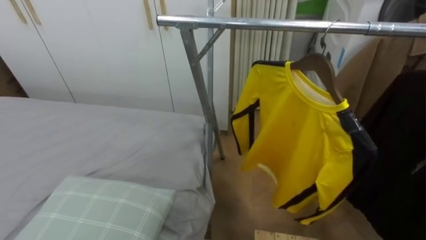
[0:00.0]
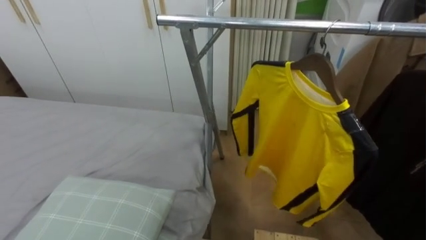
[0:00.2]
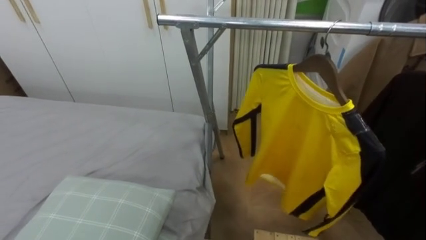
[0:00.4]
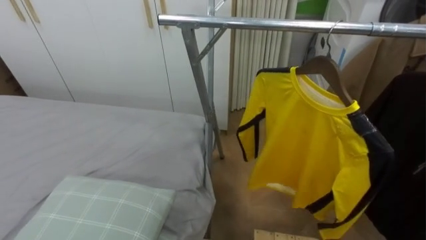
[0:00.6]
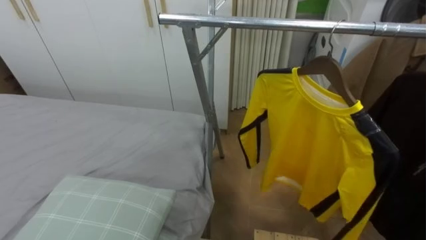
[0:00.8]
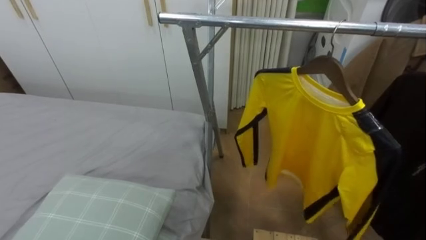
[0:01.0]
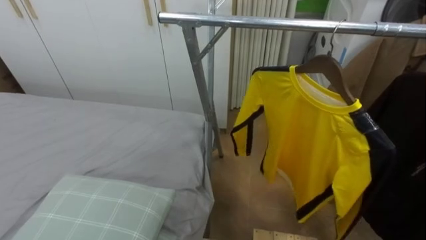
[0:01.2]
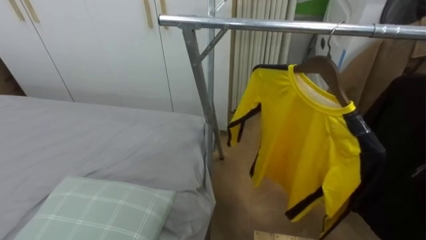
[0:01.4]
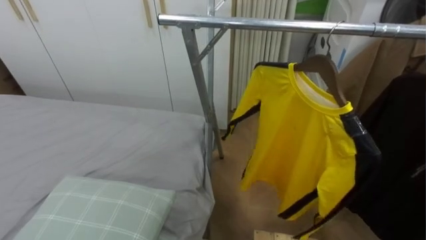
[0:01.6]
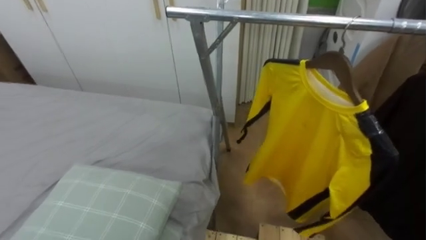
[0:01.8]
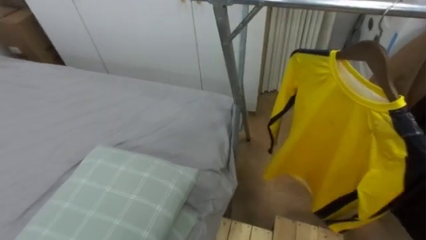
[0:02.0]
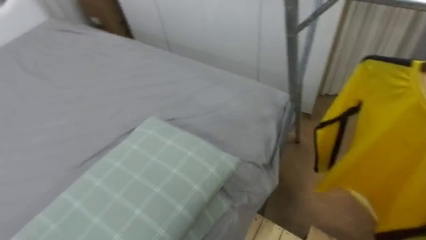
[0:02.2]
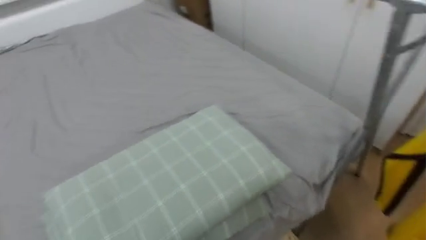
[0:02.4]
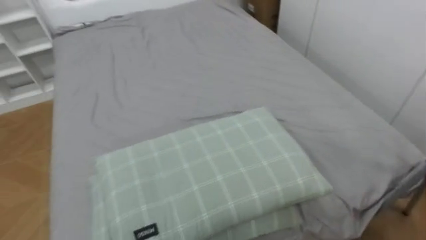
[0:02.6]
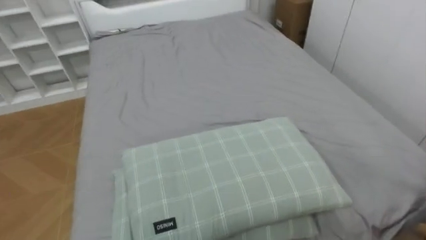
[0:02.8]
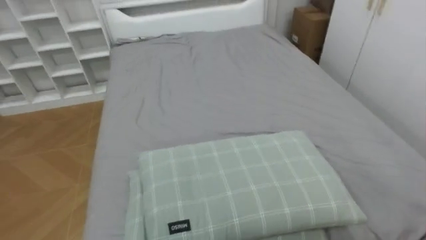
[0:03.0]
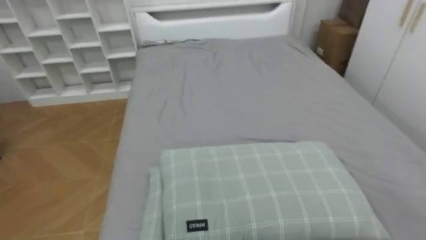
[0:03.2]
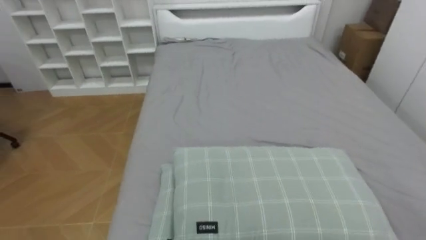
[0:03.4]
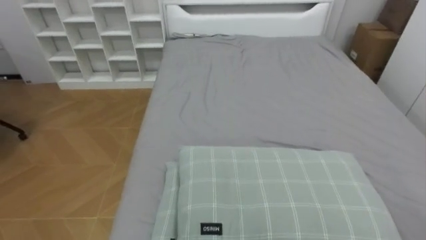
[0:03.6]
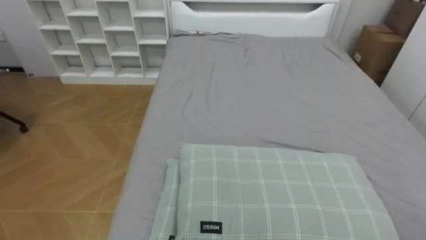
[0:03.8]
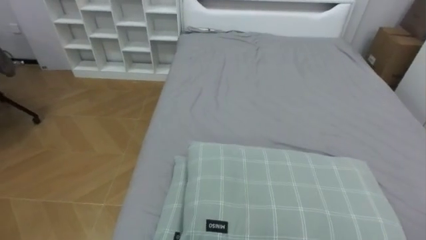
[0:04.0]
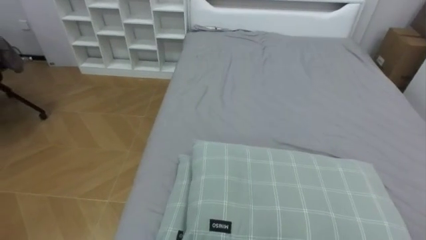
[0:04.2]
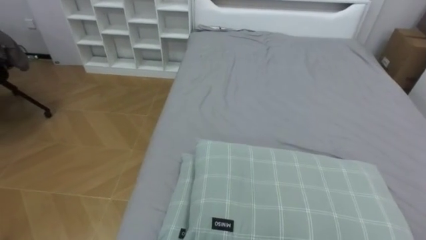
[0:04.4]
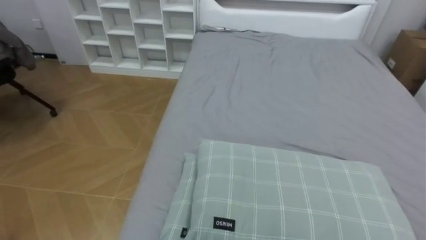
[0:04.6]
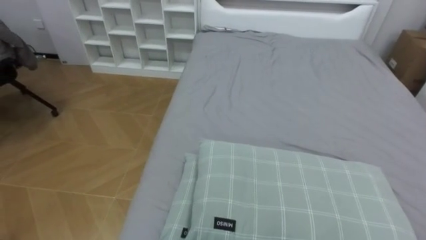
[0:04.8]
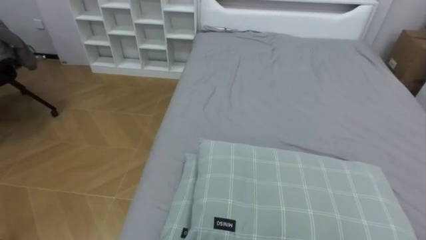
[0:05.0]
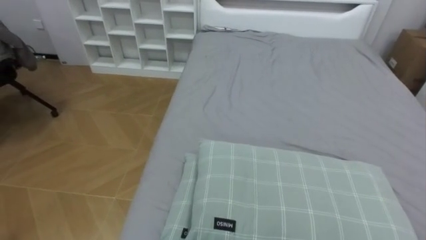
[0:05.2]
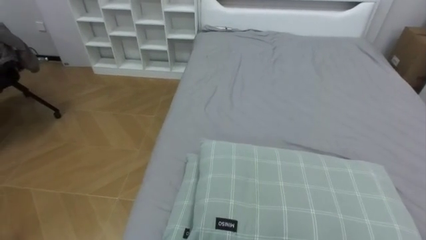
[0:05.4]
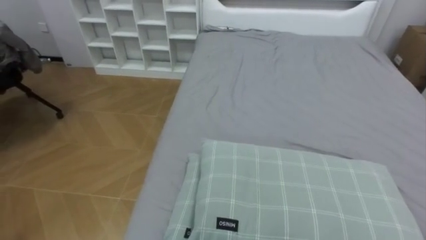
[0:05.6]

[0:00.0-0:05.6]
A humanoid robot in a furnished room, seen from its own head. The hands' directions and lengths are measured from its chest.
Task of the whole recording: Pick up the yellow shirt on the bed and hang it on the clothes rack on the right.
0:01.4 to 0:02.8: The robot rotates roughly 60 degrees to its left.
0:02.8 to 0:04.2: The robot rotates about 25 degrees to its left.

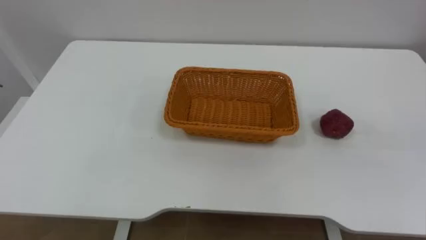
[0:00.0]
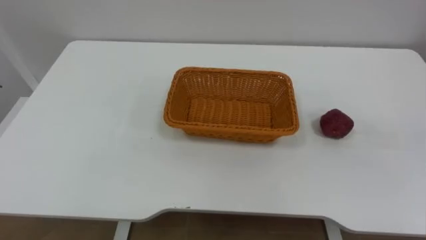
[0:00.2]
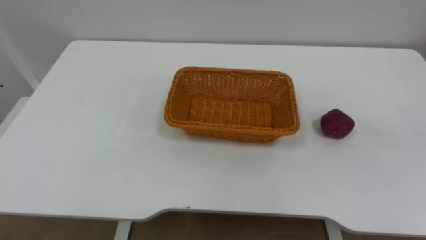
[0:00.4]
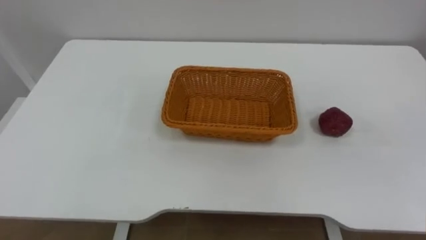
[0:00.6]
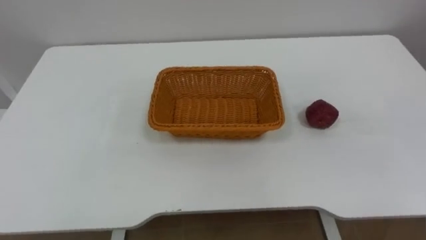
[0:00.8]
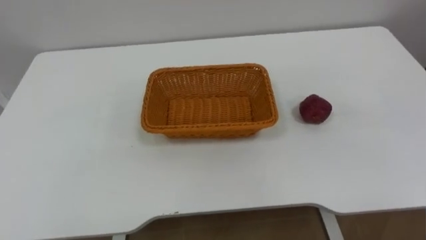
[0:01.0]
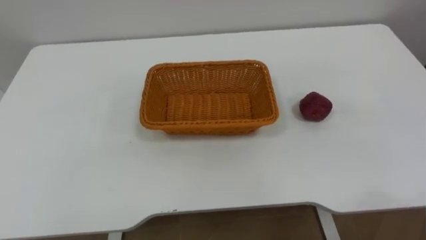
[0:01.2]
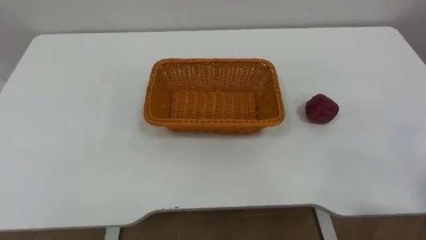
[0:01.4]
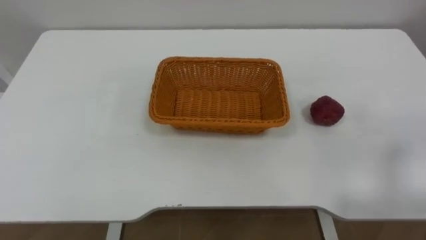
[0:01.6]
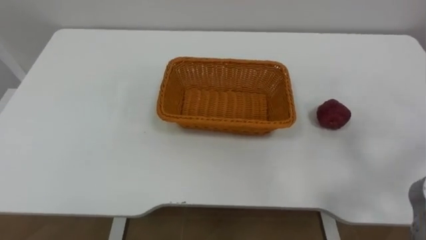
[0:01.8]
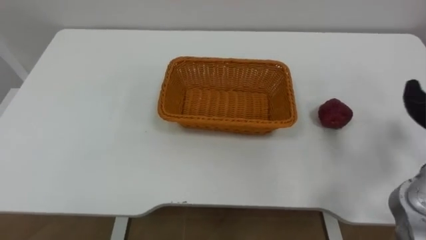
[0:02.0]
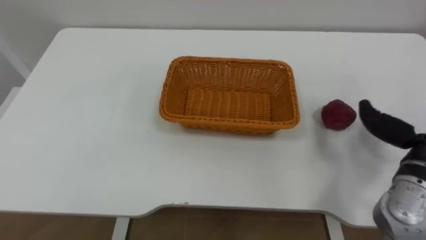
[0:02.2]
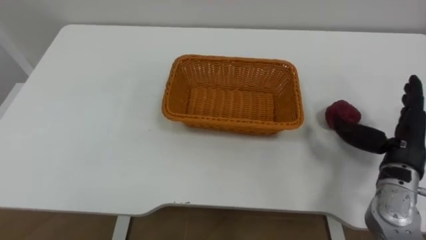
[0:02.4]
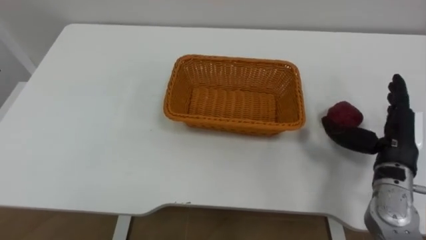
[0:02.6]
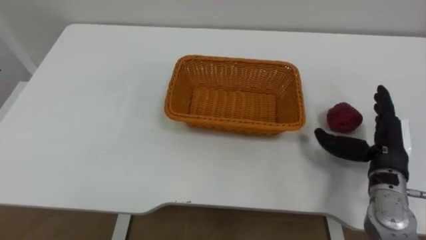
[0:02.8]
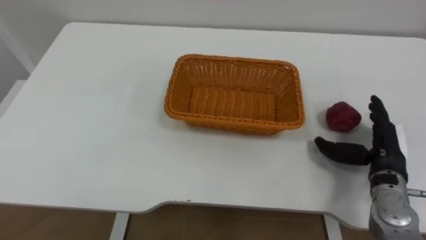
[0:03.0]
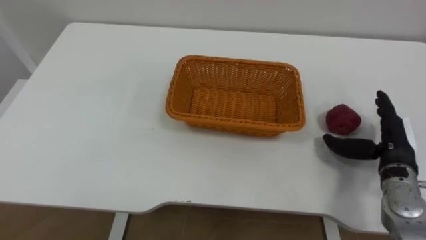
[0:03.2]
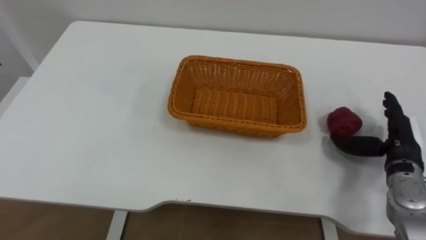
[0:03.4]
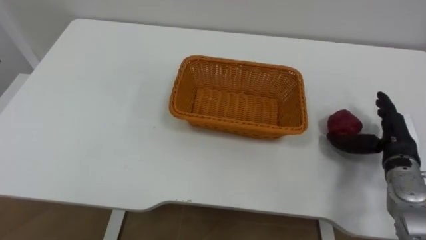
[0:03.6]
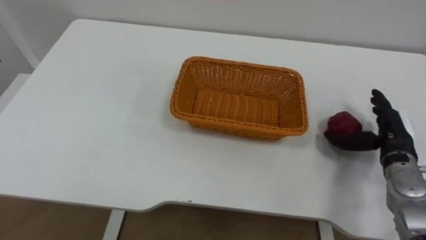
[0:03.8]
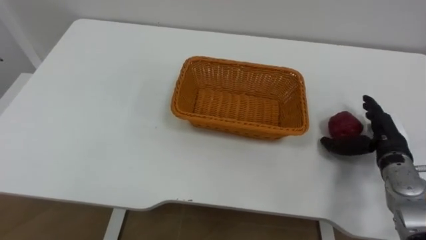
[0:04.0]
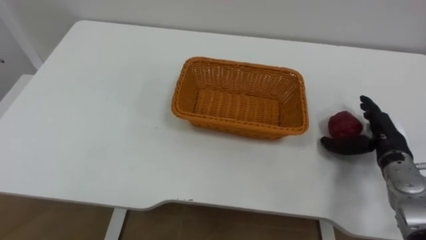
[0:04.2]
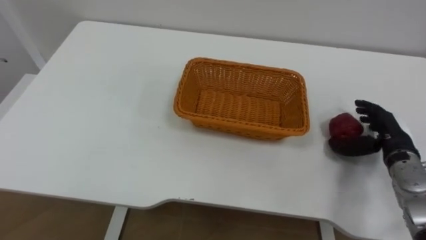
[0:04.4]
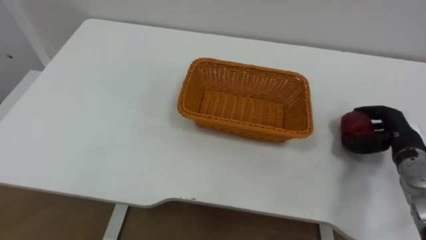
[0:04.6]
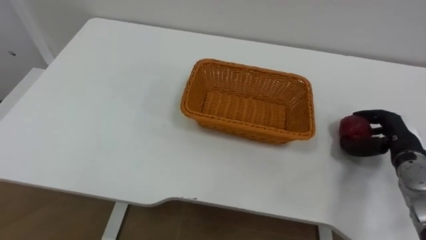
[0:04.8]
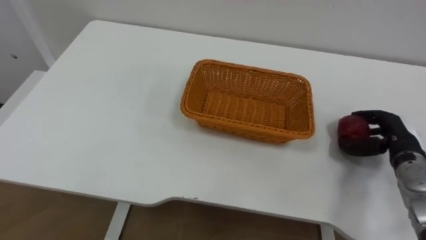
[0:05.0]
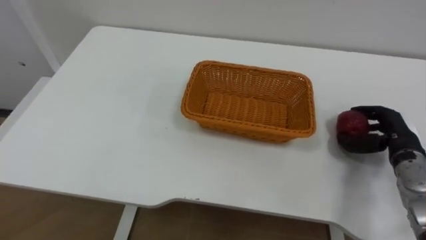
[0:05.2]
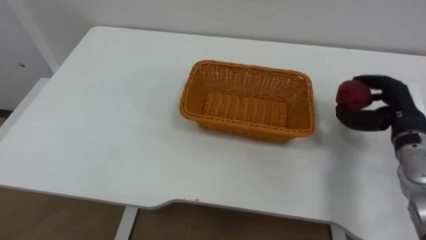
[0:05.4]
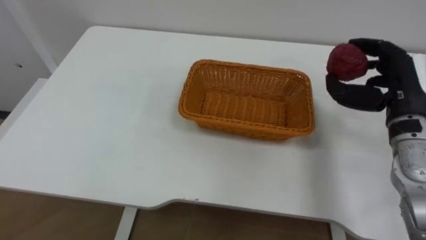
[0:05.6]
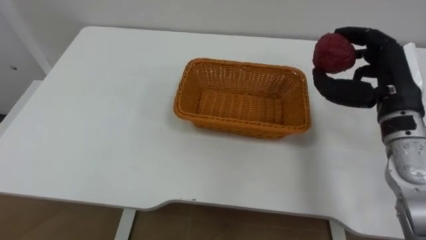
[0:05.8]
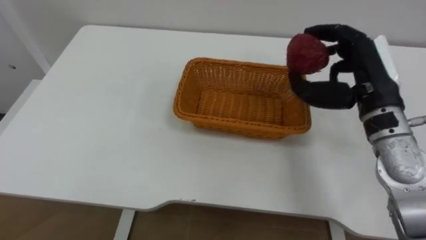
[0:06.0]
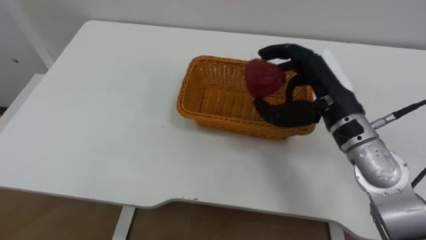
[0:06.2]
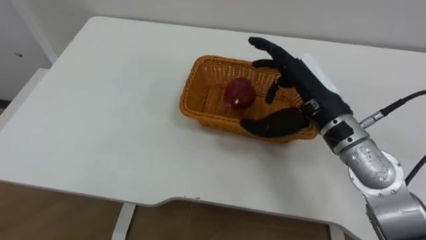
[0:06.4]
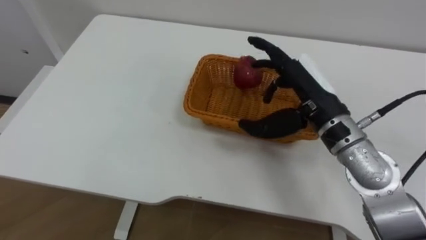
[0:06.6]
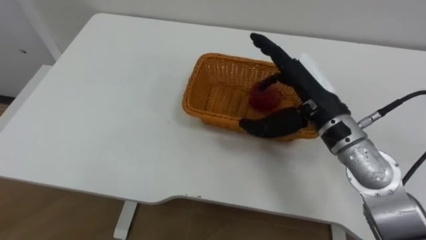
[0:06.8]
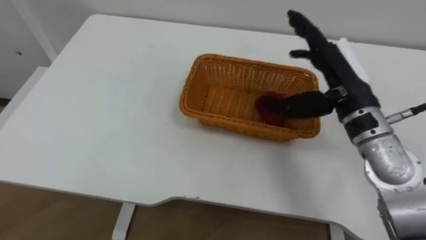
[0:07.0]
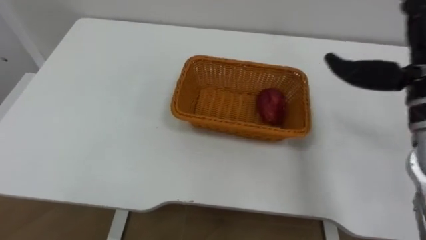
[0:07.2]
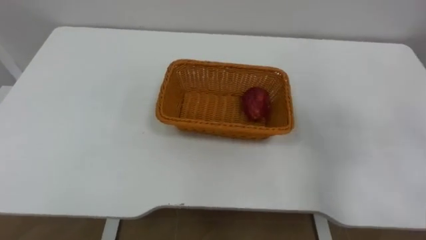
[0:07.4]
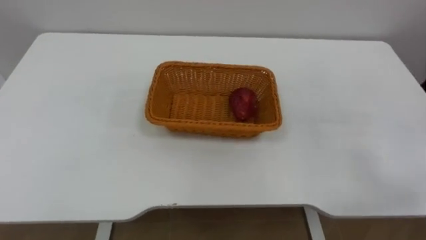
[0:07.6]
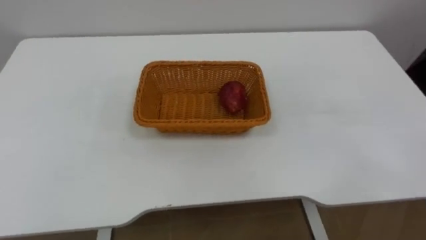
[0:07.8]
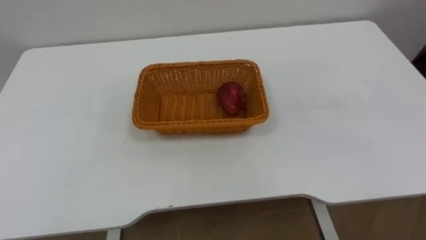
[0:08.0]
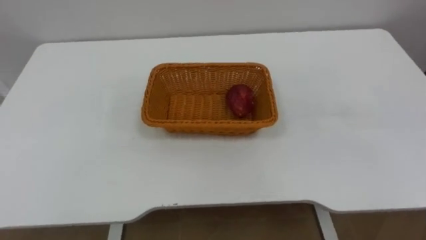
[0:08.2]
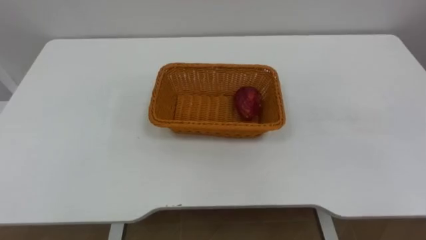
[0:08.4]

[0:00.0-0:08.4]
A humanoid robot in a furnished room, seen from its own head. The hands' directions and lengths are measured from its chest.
Task of the whole recording: Pick the apple and place it in the box.
0:02.8 to 0:04.2: The right hand changes place by approximately 5 cm.
0:04.2 to 0:05.6: The right hand shifts roughly 10 cm upward, and closes up.
0:05.6 to 0:07.0: The right hand moves to the left, roughly 10 cm, and opens up.

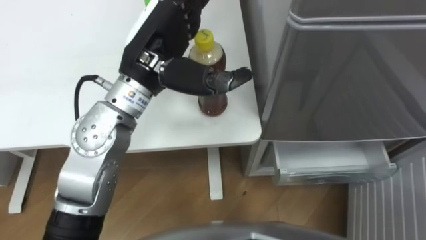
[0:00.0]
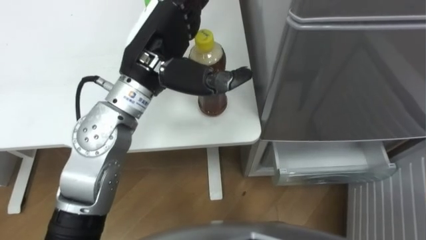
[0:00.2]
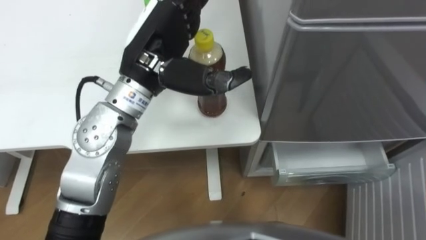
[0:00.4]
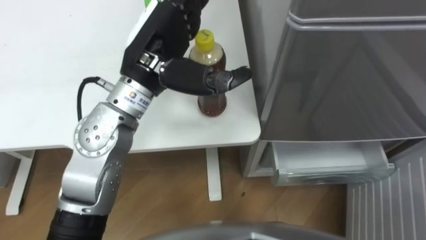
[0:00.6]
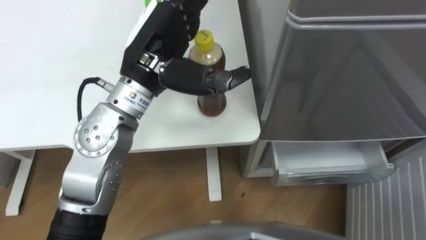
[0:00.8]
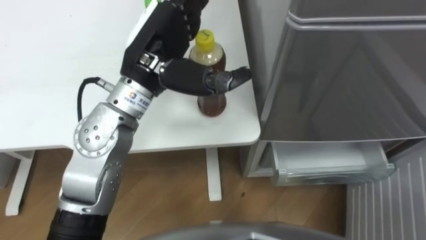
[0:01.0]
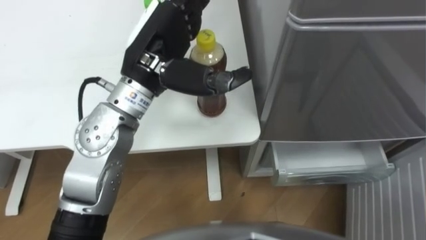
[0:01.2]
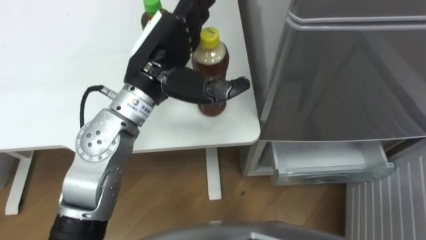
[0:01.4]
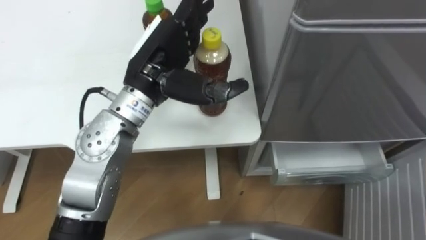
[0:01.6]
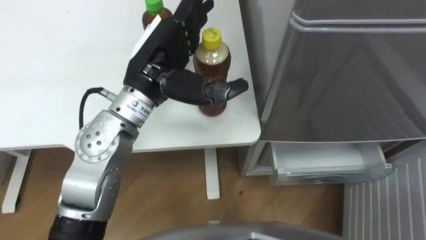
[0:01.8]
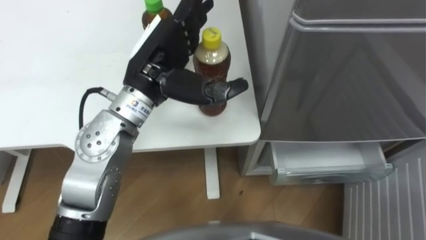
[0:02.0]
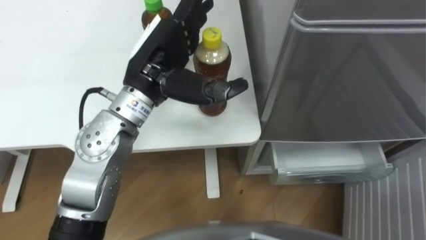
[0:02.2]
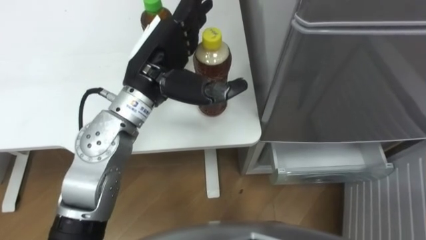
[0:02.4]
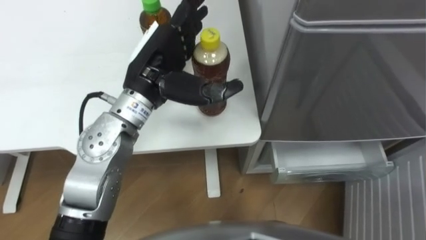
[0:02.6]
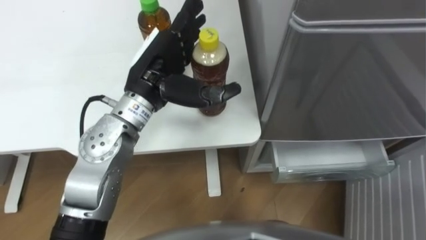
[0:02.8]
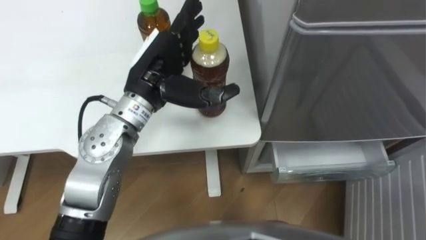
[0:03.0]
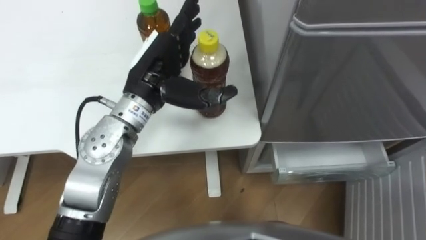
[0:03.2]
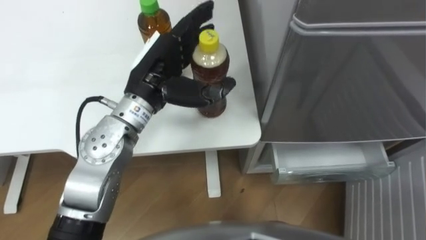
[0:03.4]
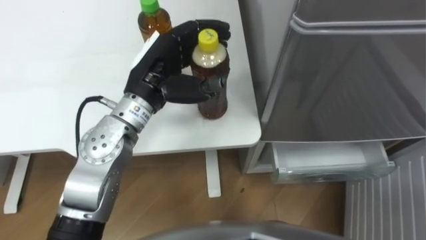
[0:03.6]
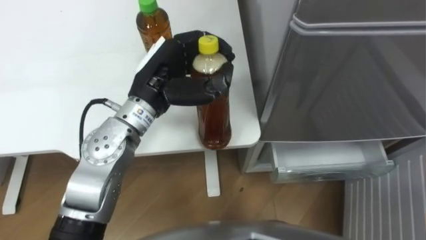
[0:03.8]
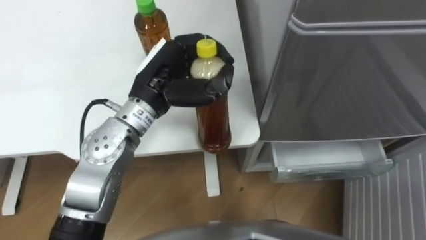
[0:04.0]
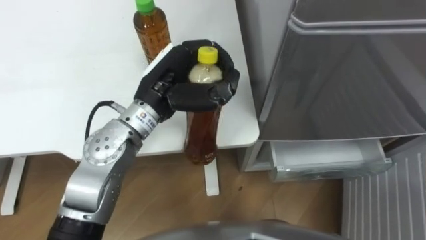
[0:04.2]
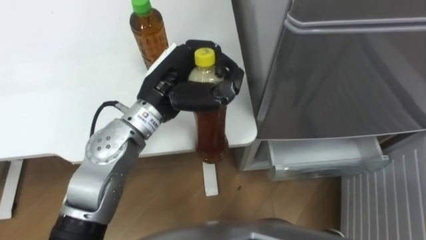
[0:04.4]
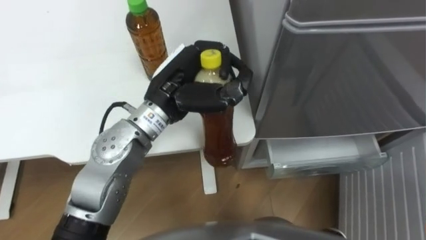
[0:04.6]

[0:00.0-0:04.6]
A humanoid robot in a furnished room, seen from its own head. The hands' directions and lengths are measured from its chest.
Task of the whole recording: Place the drink on the table on the bottom shelf of the refrigerator, then close the drawer and the refrigerator door.
0:03.0 to 0:04.6: The left hand closes.
